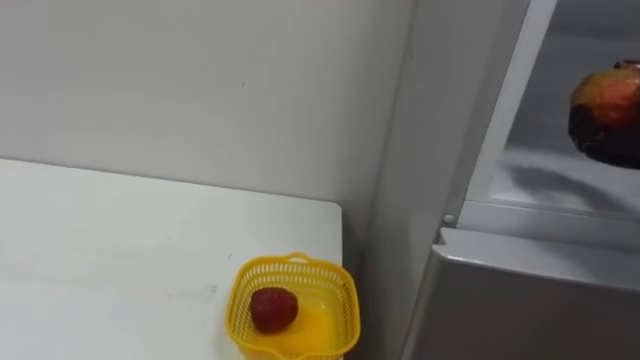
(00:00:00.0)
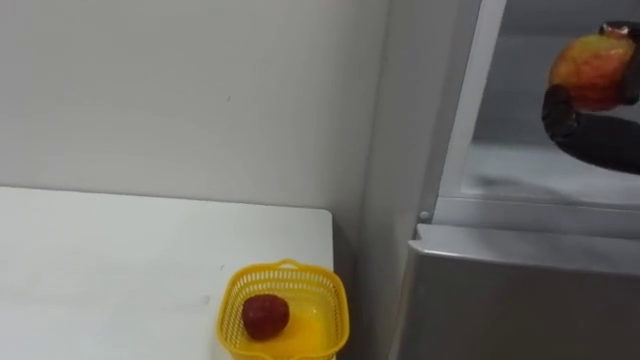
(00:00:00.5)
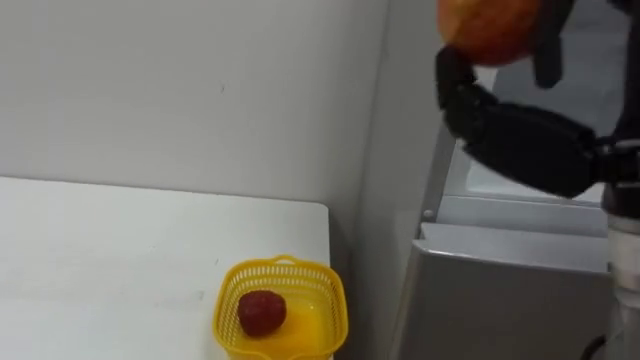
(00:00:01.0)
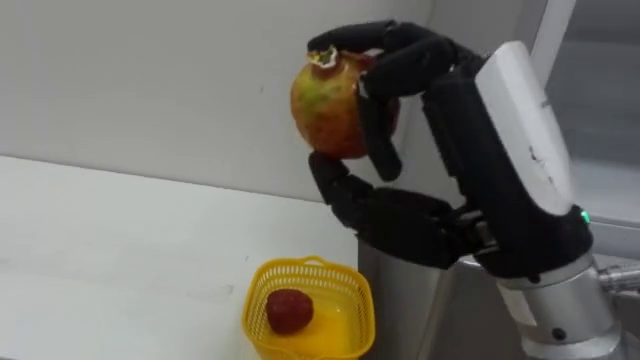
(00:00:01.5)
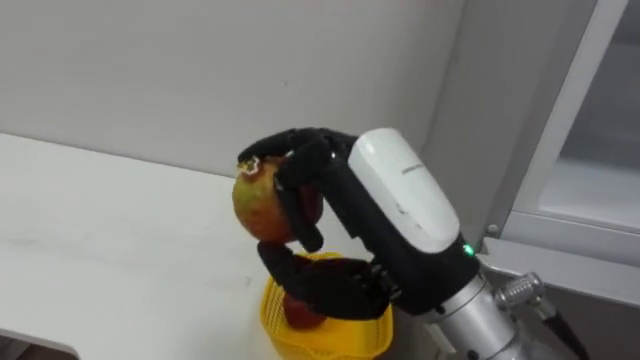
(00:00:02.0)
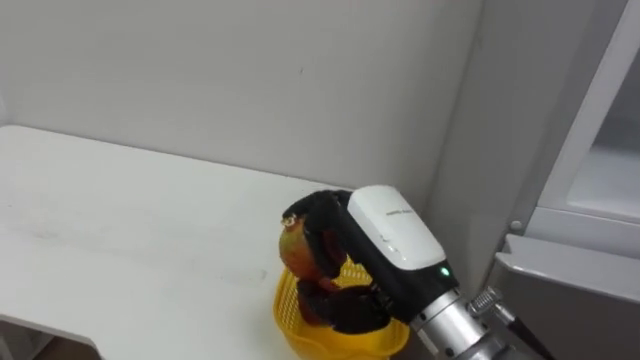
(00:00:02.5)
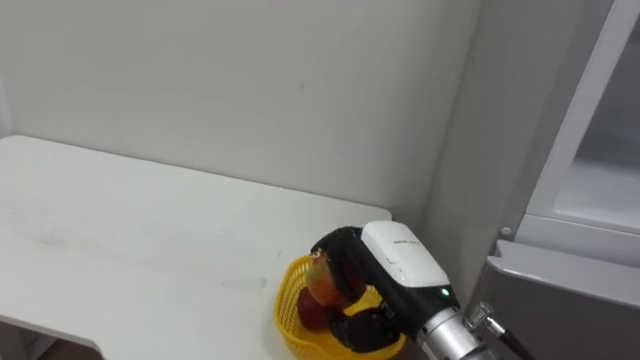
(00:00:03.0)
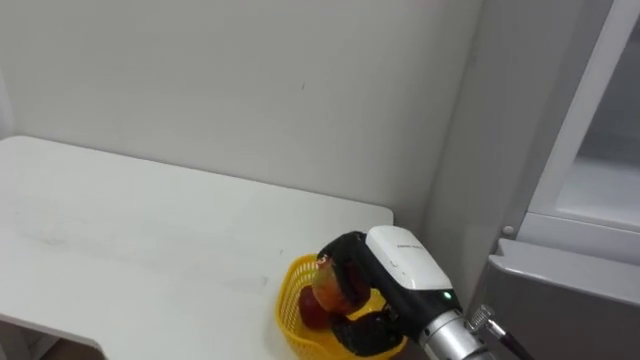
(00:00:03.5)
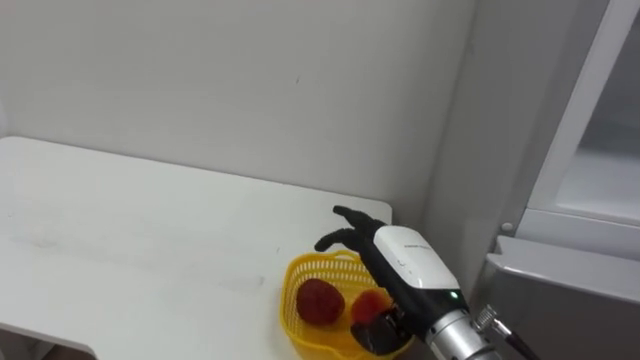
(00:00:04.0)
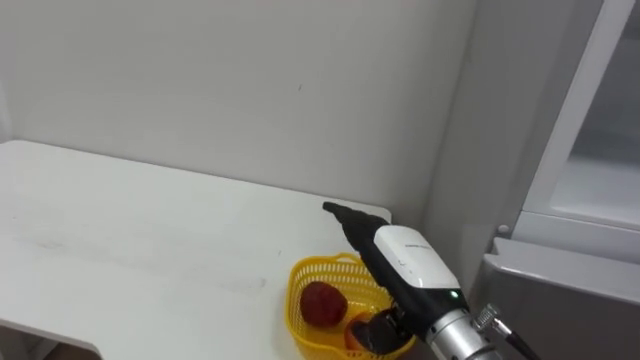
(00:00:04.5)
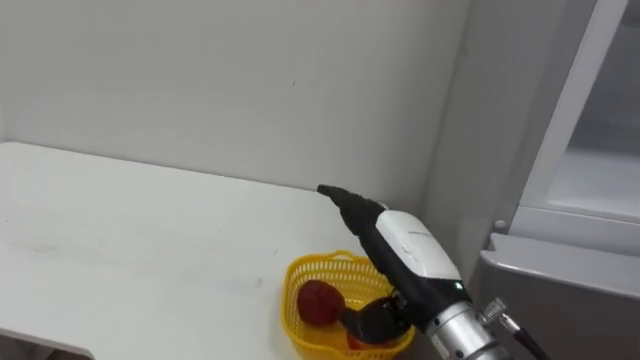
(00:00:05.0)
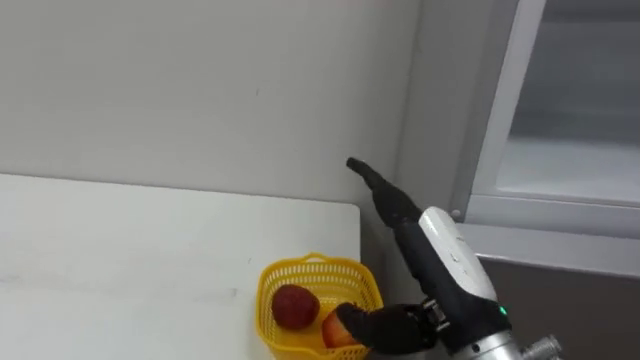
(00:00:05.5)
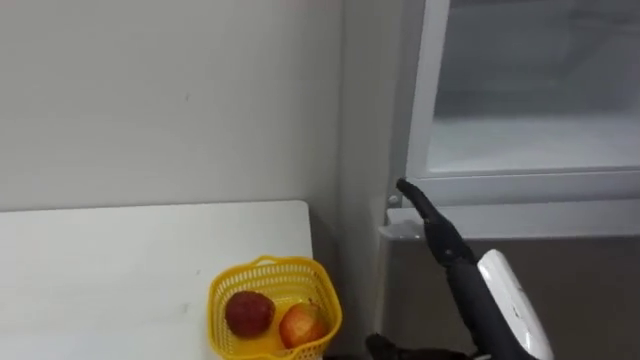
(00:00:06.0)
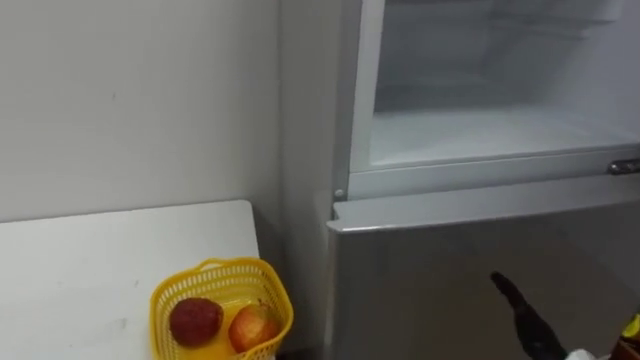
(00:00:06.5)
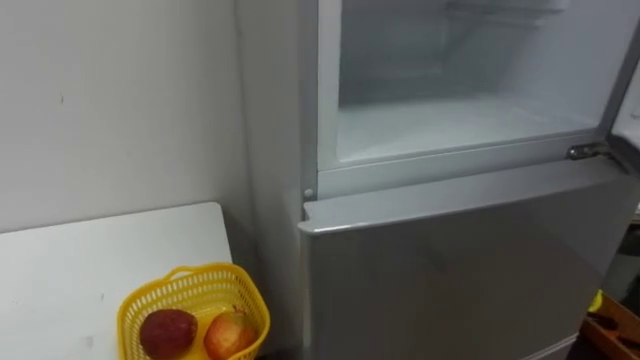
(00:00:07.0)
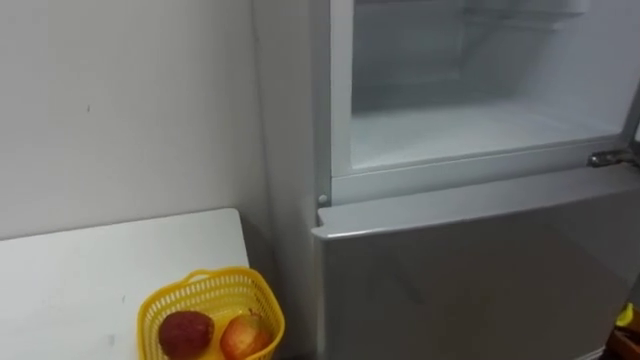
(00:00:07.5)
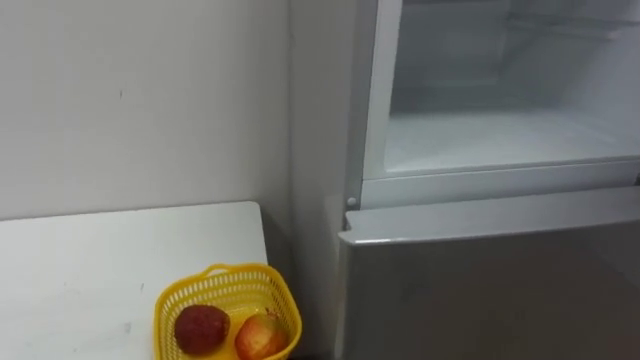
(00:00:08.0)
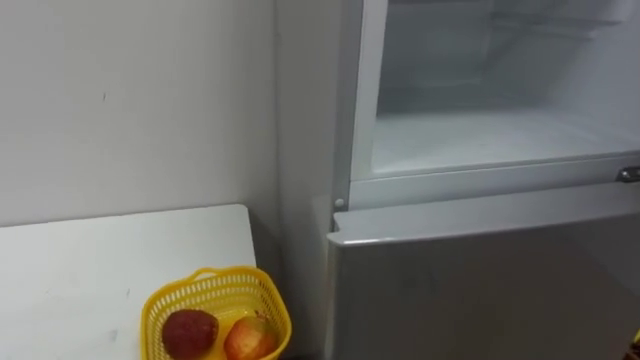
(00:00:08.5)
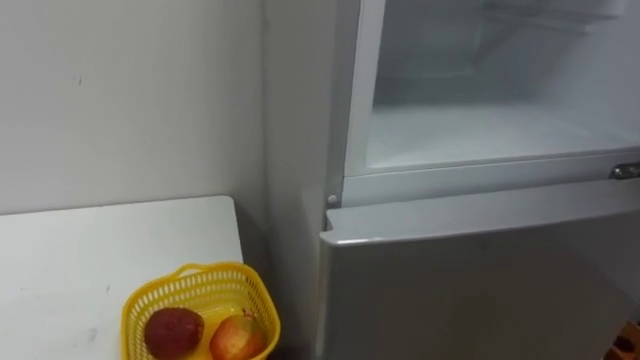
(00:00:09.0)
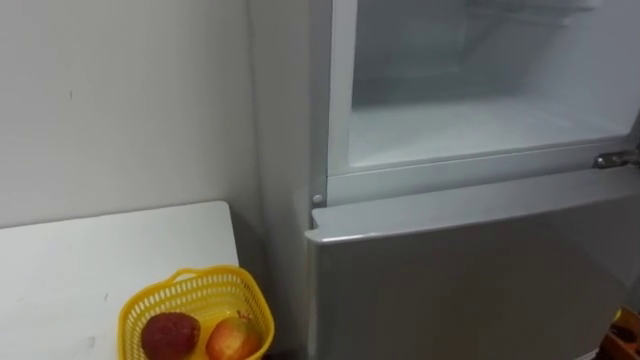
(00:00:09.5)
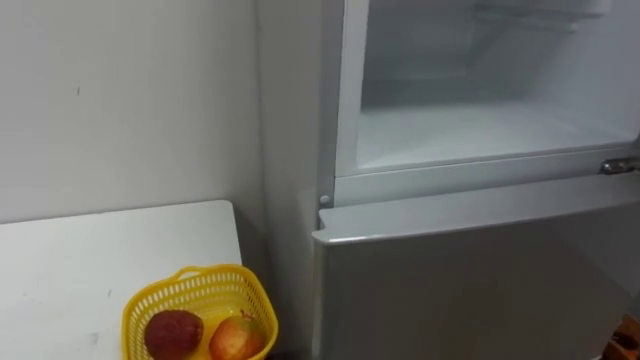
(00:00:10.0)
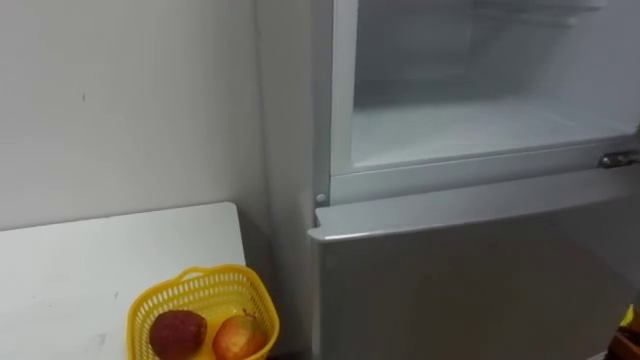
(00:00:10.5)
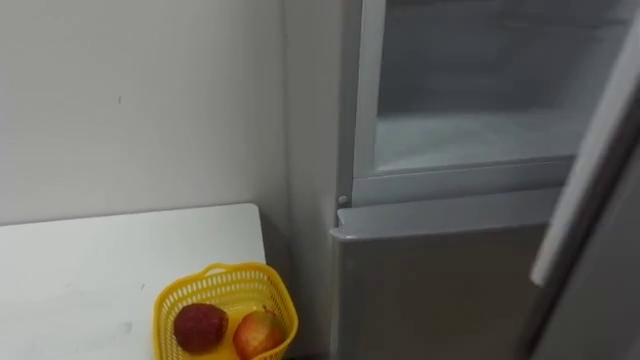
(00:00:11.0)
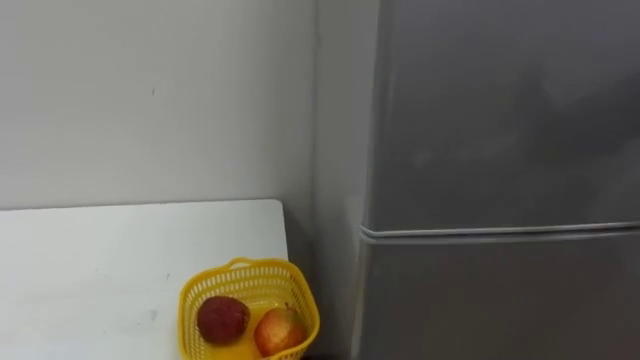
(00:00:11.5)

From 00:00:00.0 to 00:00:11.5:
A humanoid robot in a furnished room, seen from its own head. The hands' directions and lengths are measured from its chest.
Task of the whole recording: Open the refrigerator door, take out the apple and the pomegranate, place them in the fruit basket on the left, and close the refrigerator door.
From 00:00:02.0 to 00:00:04.0: The right hand travels downward and forward by some 15 cm, and opens up.
From 00:00:04.0 to 00:00:06.0: The right hand is displaced backward and to the right by roughly 10 cm.
